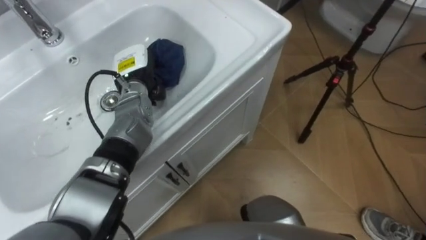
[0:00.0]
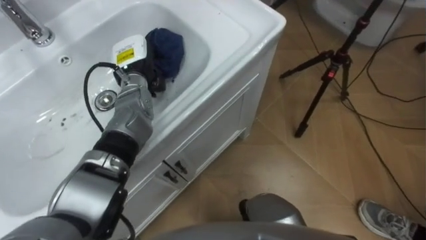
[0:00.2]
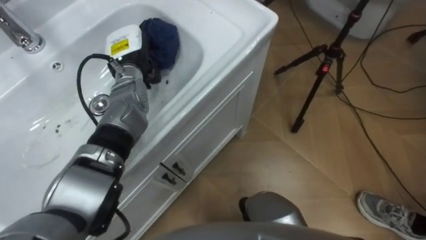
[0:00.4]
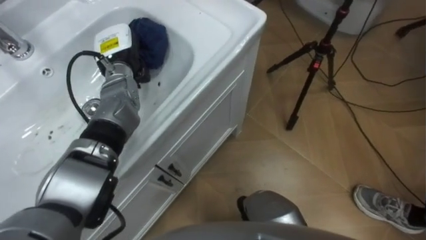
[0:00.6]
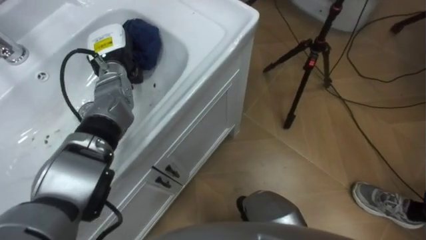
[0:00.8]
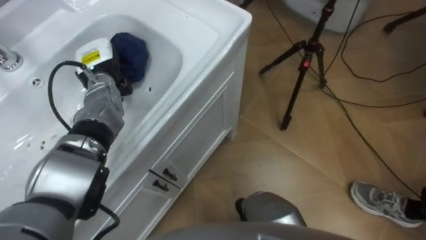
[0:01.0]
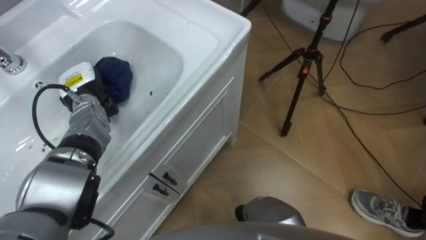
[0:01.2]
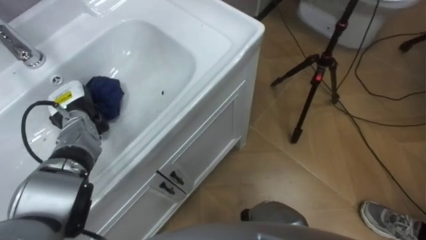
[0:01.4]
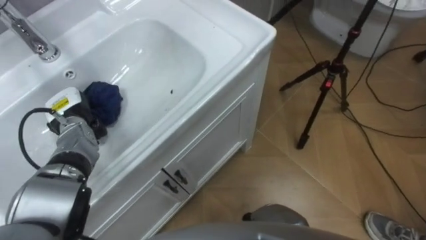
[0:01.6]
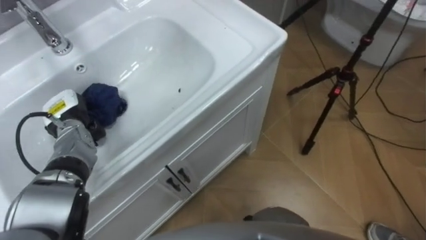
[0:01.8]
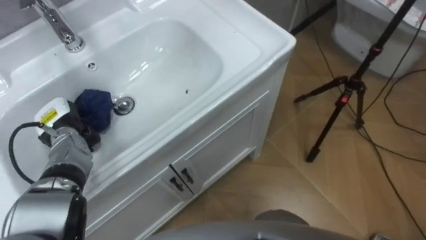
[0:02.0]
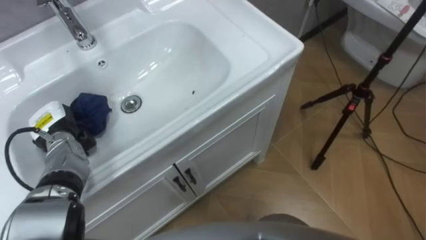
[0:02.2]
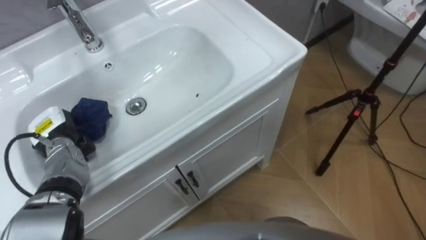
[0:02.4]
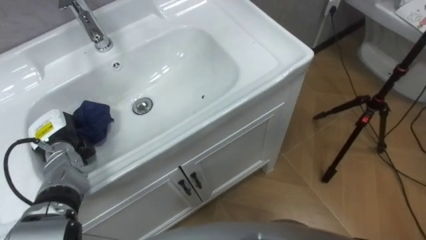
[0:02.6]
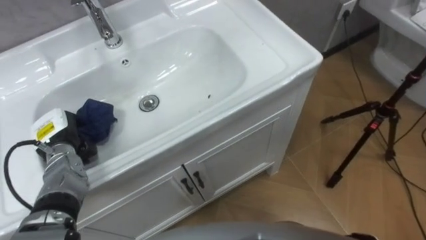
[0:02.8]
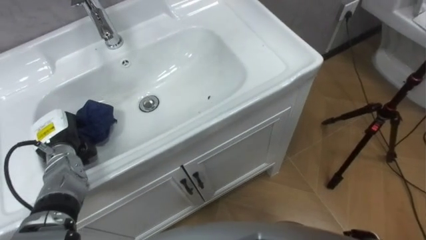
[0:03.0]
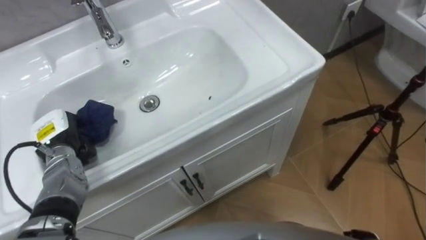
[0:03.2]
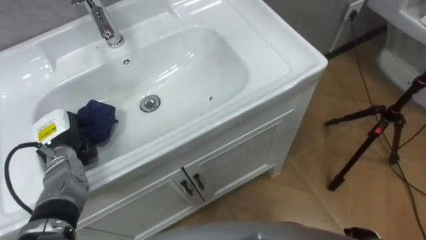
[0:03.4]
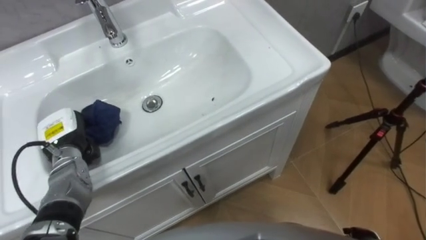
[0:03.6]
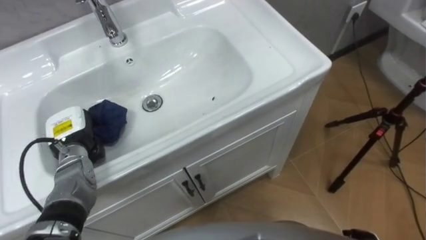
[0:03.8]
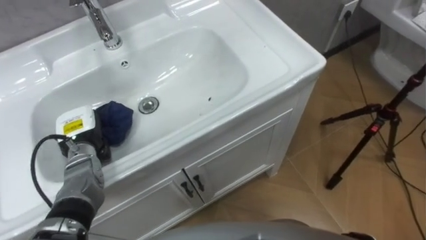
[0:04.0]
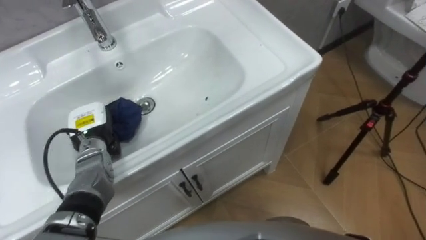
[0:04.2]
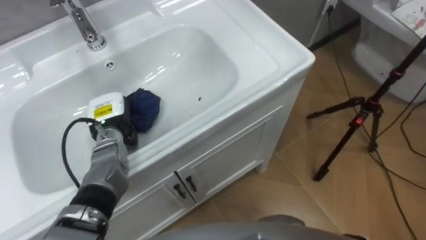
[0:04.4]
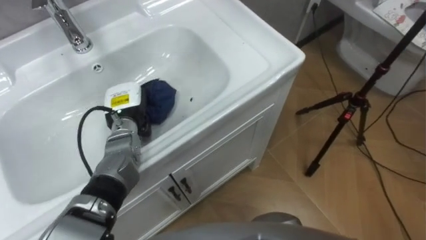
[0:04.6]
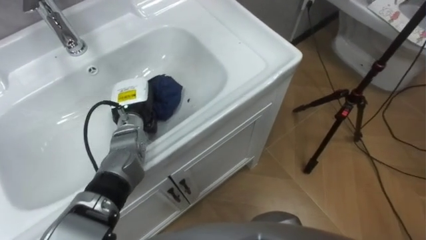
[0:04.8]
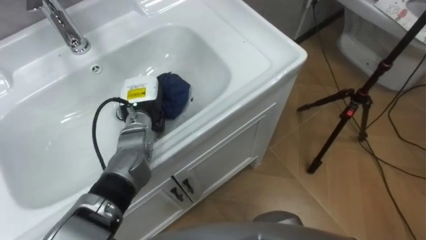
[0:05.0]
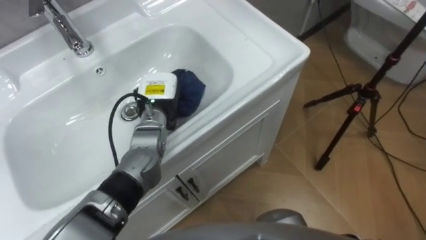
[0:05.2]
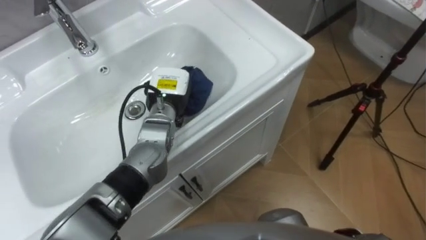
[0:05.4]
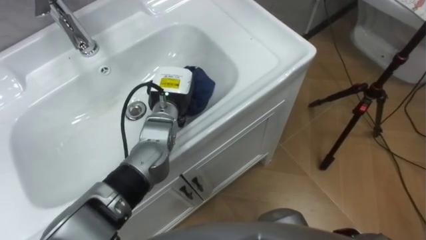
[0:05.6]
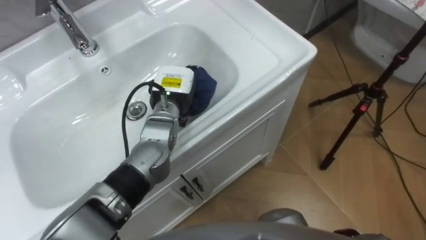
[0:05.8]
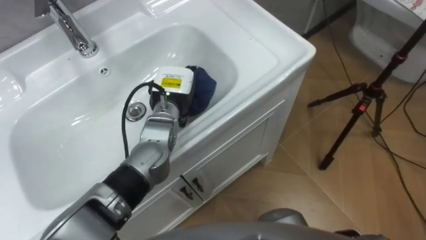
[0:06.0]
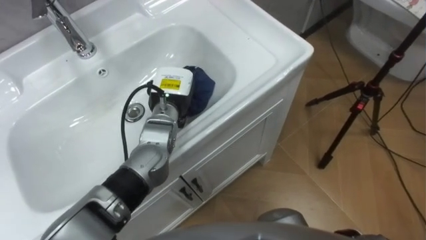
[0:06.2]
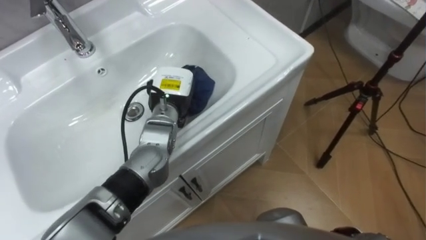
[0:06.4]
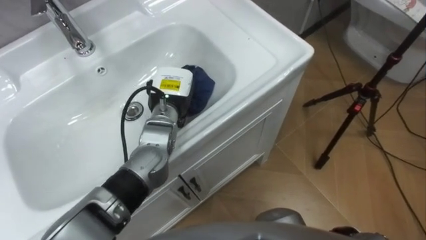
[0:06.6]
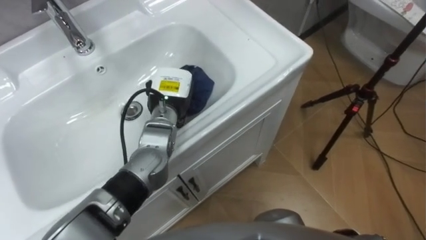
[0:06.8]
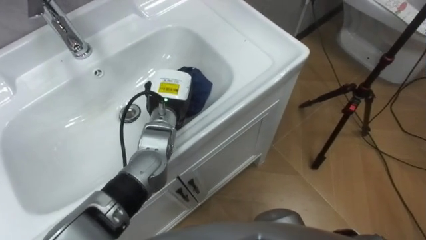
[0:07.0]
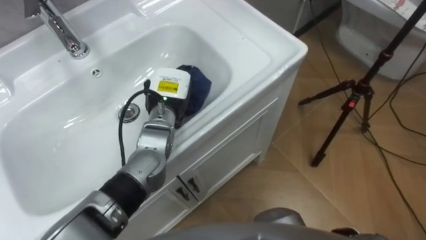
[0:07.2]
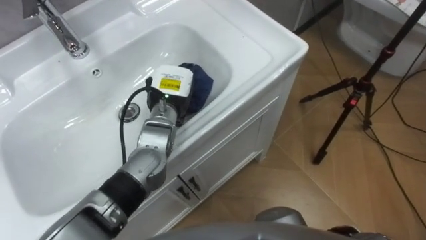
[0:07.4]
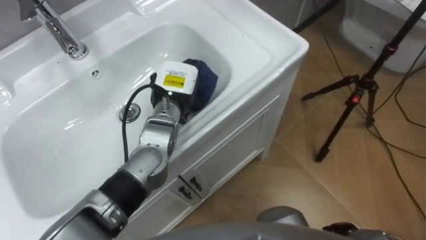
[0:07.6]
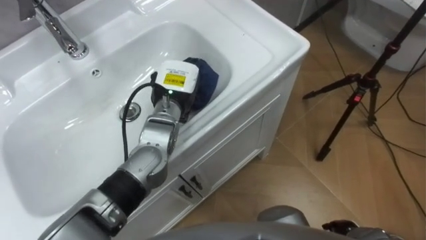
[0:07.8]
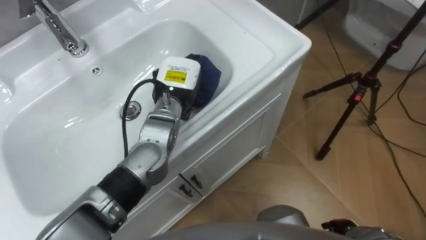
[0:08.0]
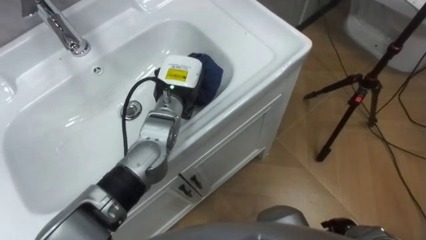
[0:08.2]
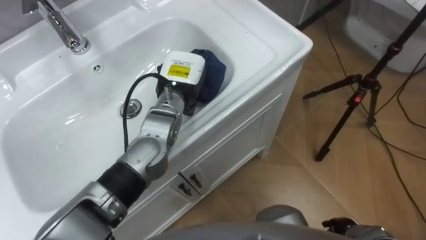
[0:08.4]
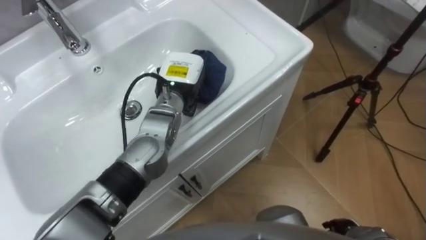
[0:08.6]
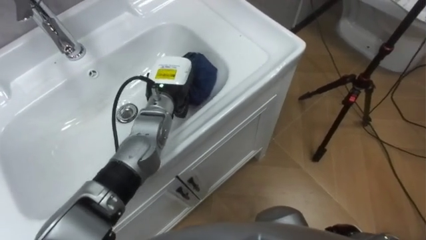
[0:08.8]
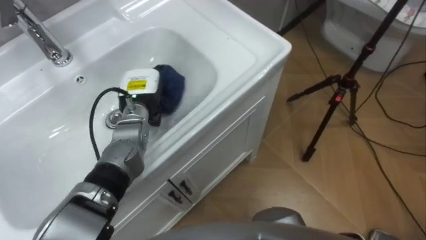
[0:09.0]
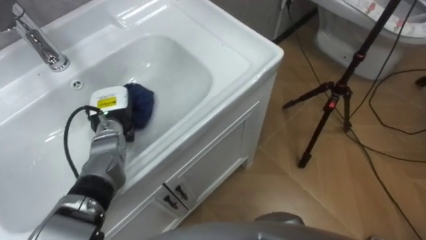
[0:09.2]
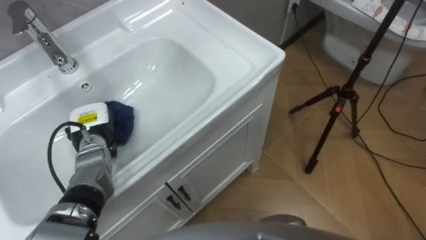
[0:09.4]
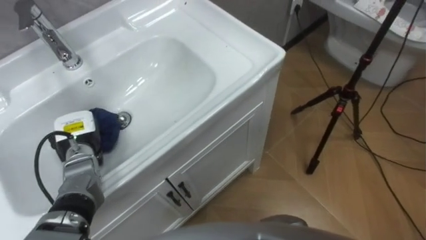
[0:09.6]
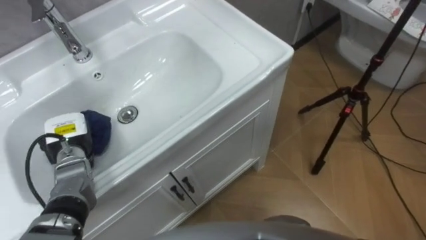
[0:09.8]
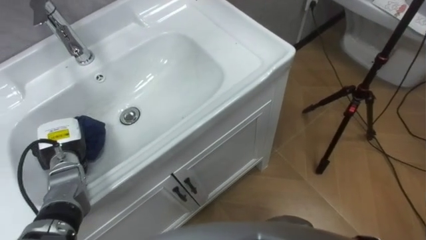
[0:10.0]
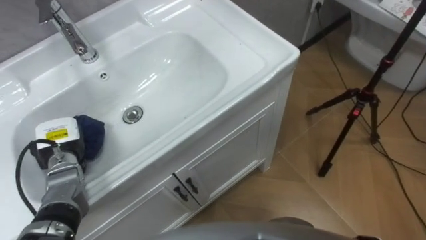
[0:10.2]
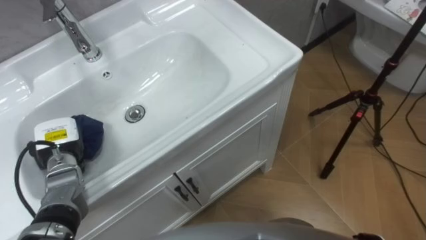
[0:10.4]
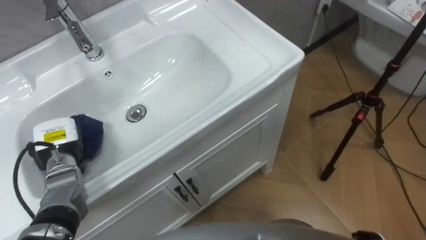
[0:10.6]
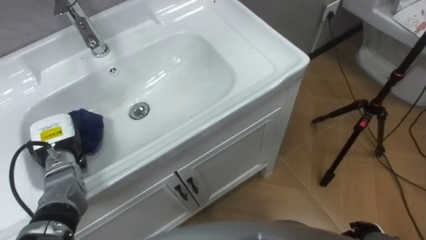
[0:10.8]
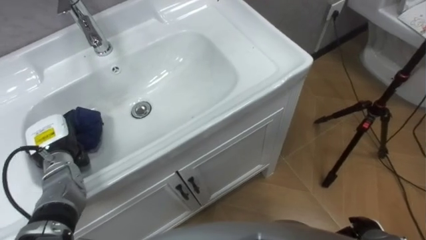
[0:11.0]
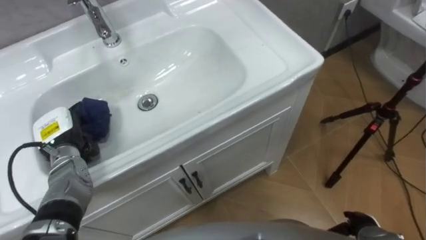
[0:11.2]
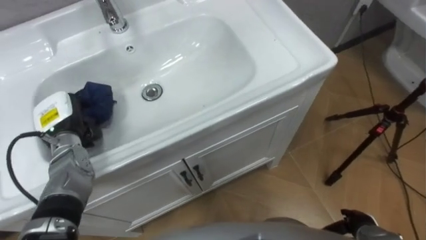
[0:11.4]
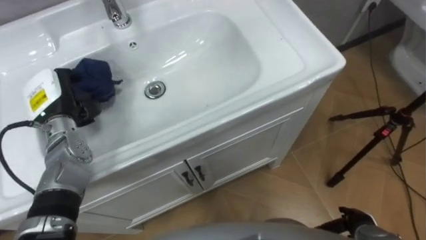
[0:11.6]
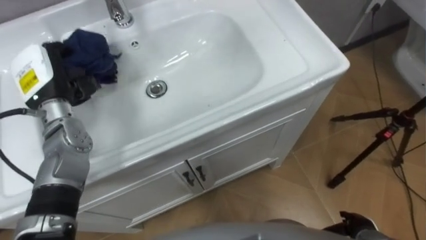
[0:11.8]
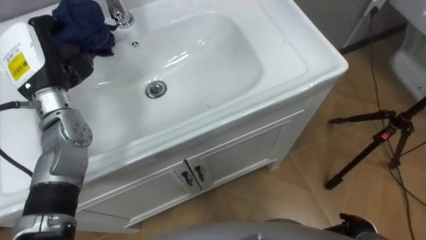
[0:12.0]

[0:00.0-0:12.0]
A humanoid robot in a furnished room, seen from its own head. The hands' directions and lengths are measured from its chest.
Task of the whole recording: Use the cloth on the right to wipe away the black stain in the sink.
0:00.0 to 0:01.6: The left hand shifts approximately 15 cm to the left and backward.
0:01.6 to 0:03.0: The left hand moves backward, some 5 cm.
0:03.0 to 0:04.4: The left hand heads to the right, covering about 10 cm.
0:04.4 to 0:06.0: The left hand moves to the right, about 15 cm.
0:07.6 to 0:09.0: The left hand moves to the left, approximately 10 cm.
0:09.0 to 0:10.4: The left hand heads to the left and backward, covering roughly 20 cm.
0:10.4 to 0:12.0: The left hand heads upward and forward, covering some 20 cm.

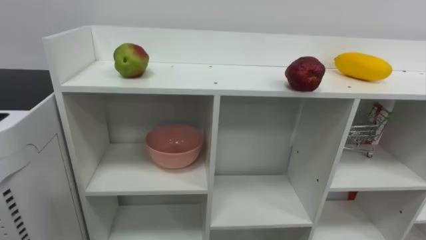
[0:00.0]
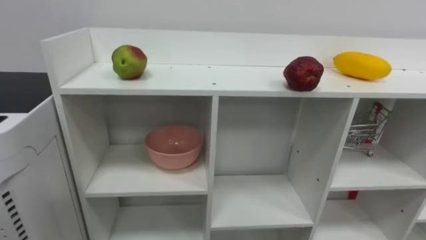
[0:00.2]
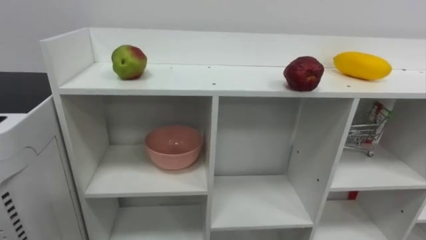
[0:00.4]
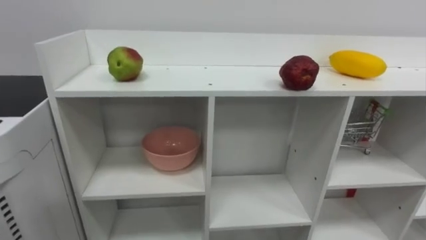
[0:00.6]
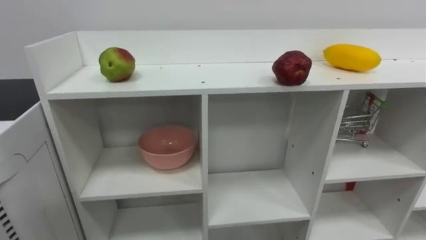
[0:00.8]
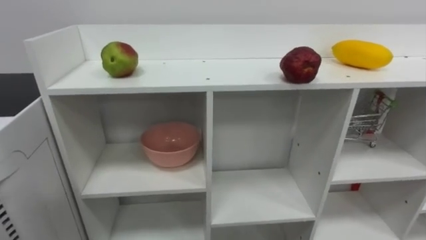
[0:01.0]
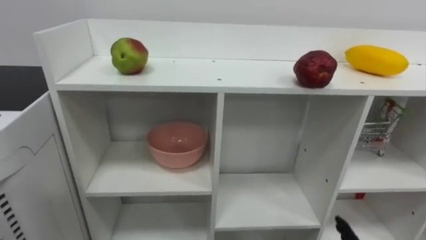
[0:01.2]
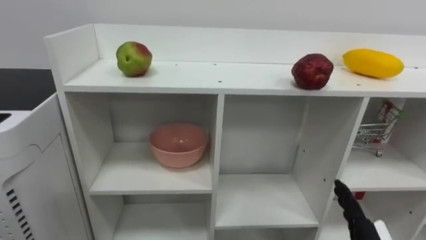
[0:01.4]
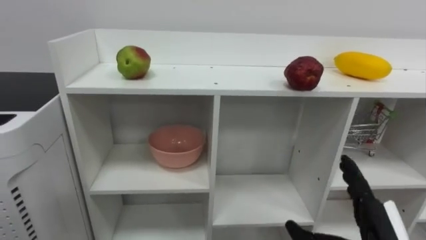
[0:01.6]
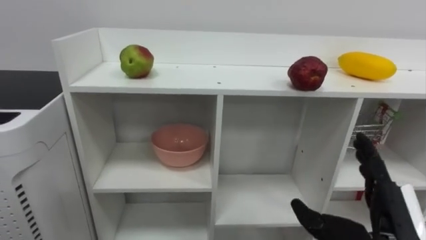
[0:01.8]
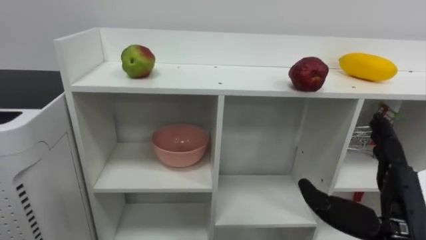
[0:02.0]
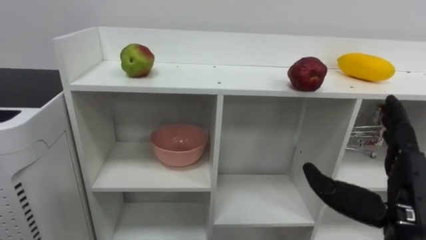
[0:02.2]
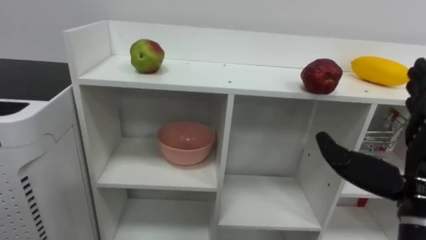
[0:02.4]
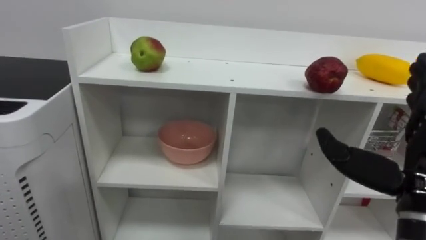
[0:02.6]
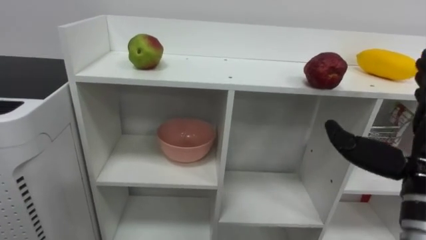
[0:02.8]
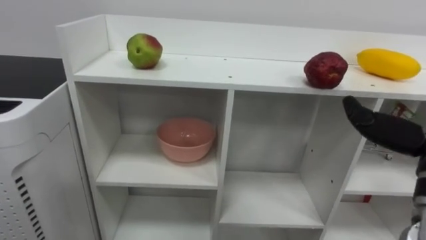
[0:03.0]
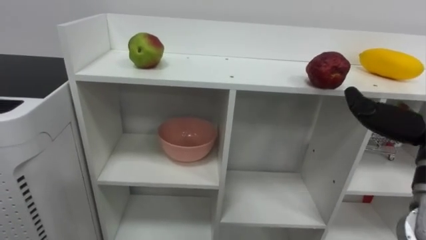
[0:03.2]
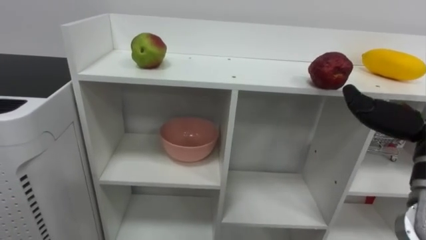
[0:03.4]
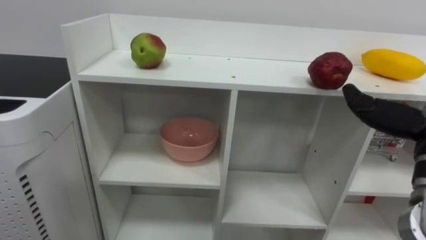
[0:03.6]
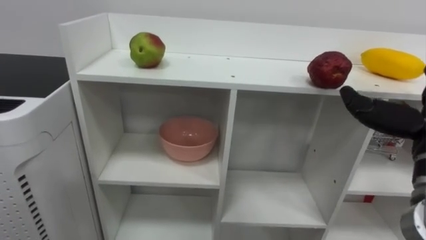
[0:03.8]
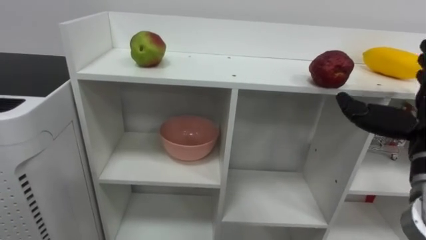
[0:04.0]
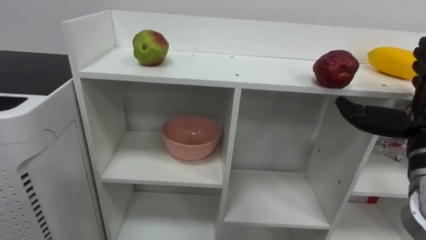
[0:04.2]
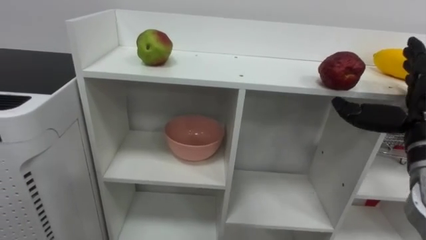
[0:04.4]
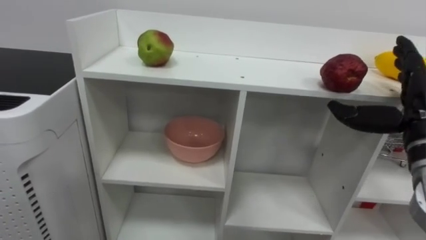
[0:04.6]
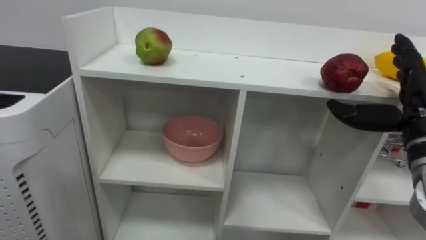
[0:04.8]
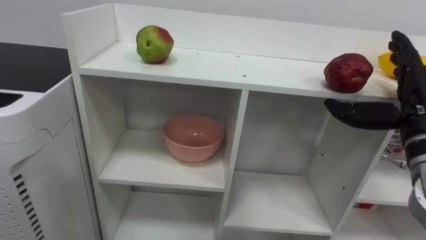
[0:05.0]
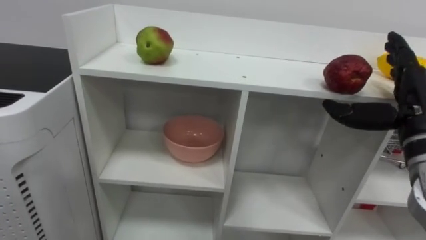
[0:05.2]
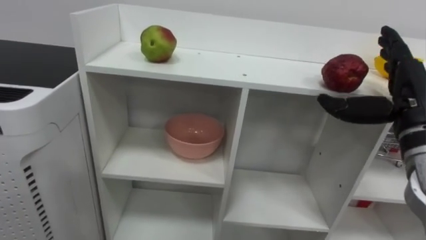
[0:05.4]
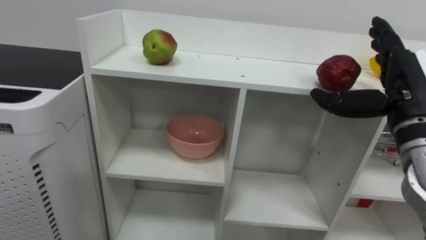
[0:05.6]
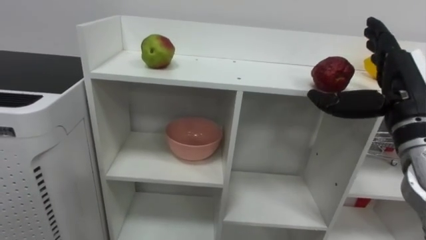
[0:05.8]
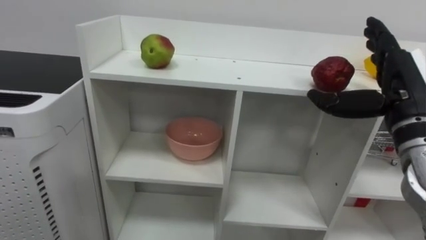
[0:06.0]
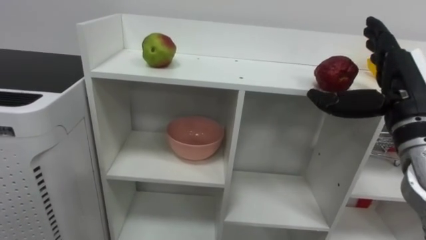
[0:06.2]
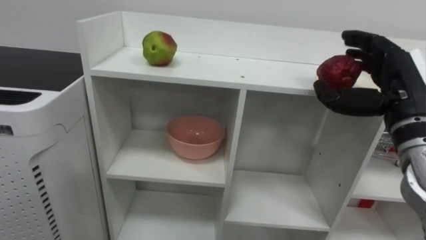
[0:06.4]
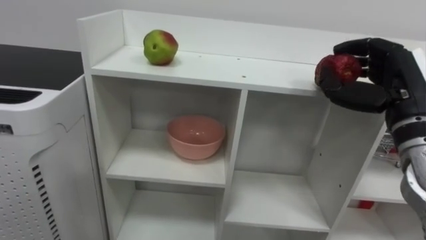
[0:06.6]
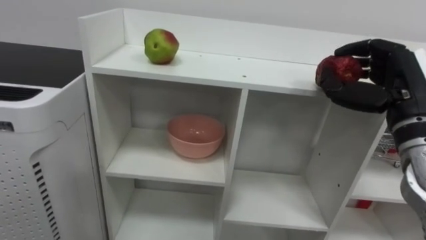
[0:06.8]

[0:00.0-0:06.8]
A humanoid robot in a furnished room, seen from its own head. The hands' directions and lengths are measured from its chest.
Task of the whole recording: Put the apple in the cell in the second column from the left and the second row from the top.
0:05.4 to 0:06.8: The right hand closes its fingers.
